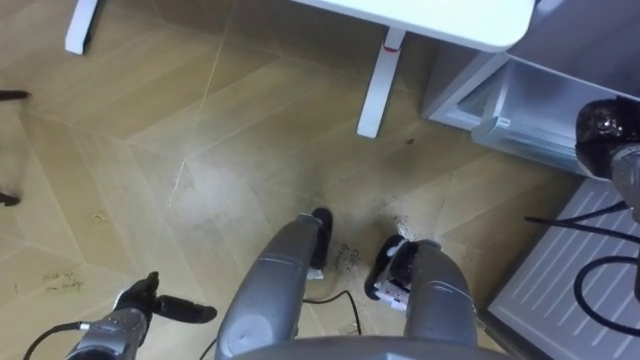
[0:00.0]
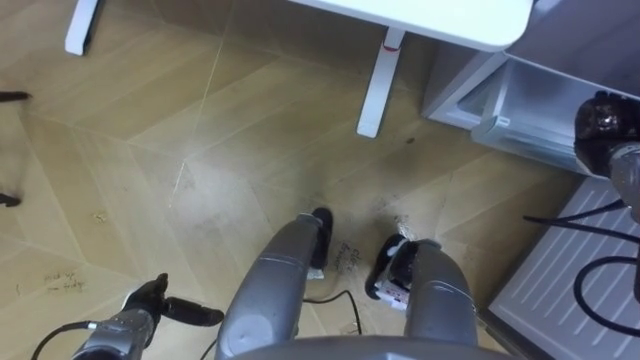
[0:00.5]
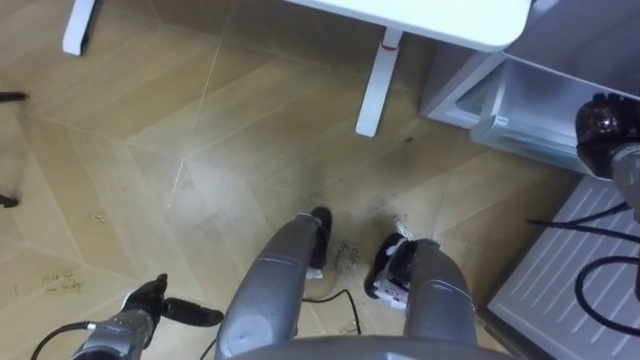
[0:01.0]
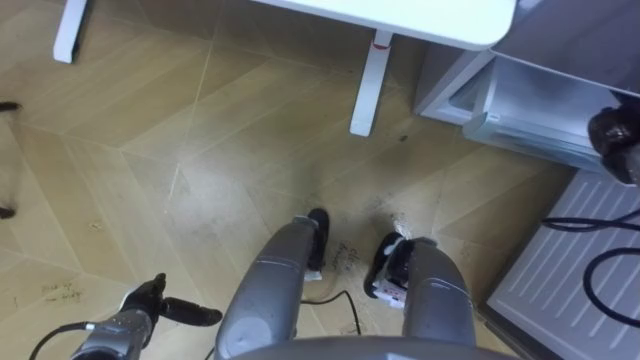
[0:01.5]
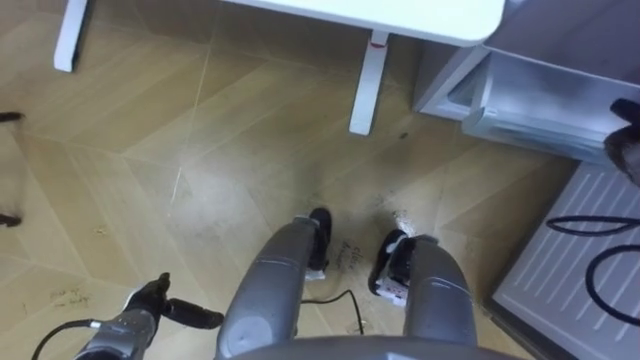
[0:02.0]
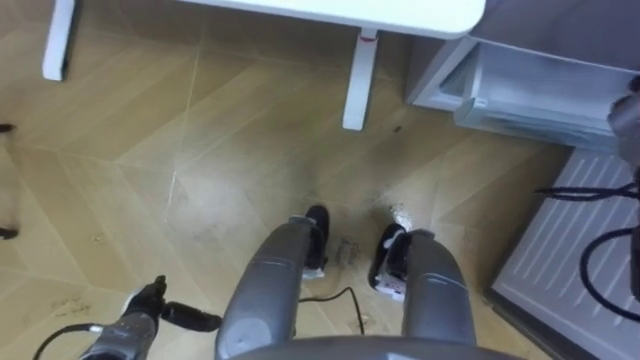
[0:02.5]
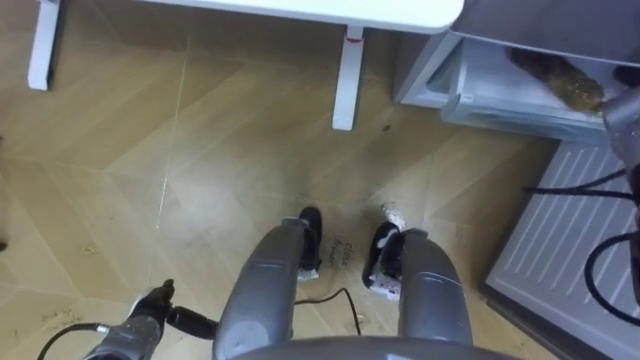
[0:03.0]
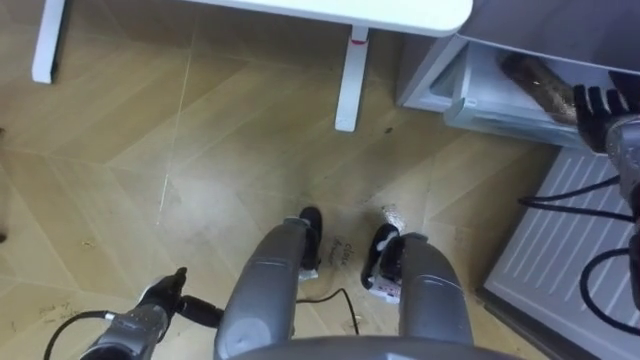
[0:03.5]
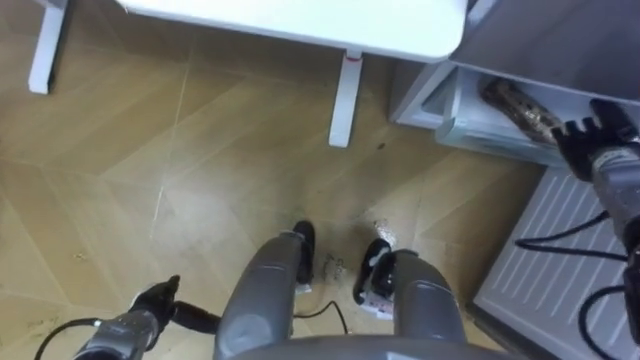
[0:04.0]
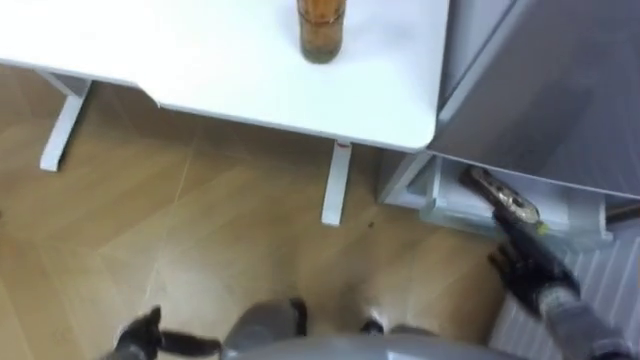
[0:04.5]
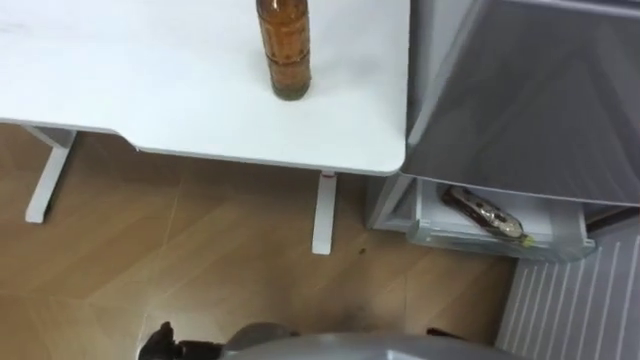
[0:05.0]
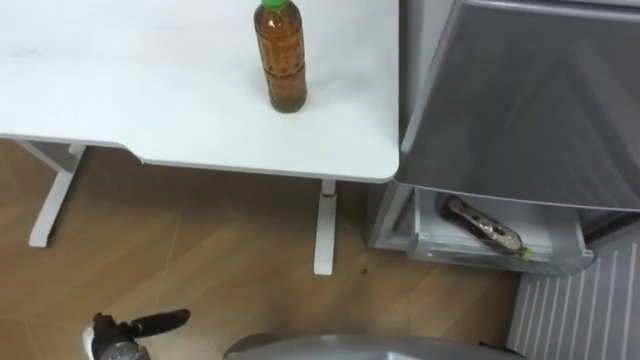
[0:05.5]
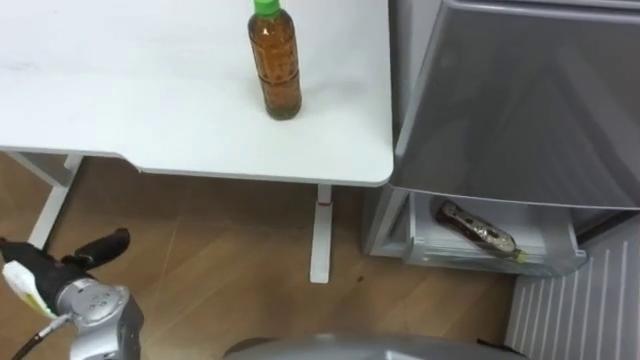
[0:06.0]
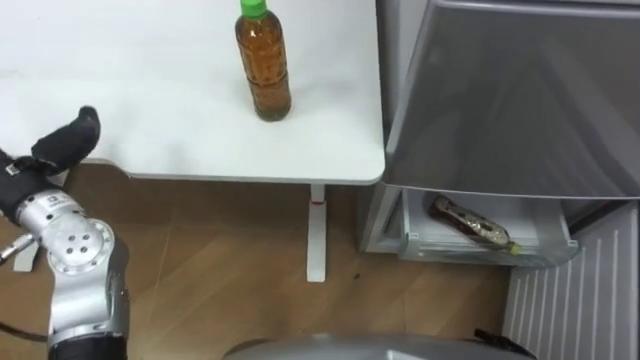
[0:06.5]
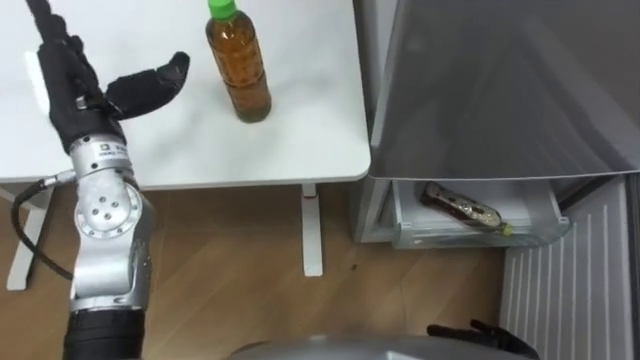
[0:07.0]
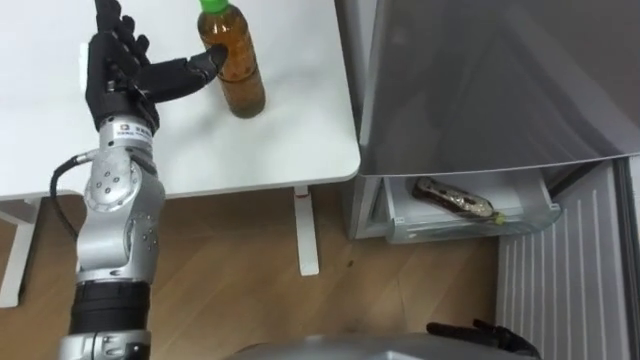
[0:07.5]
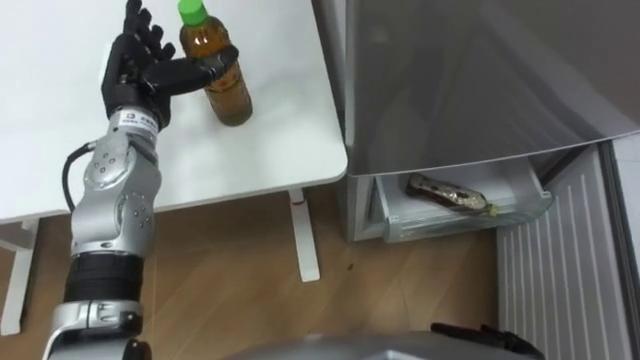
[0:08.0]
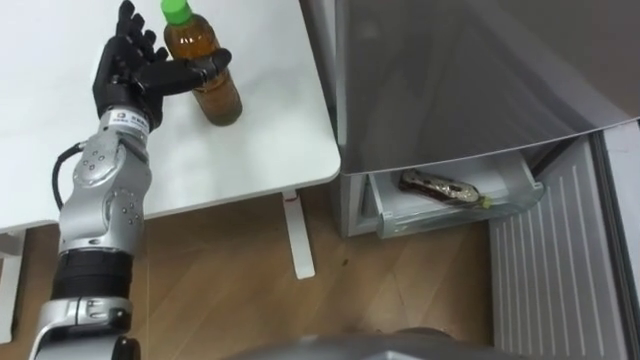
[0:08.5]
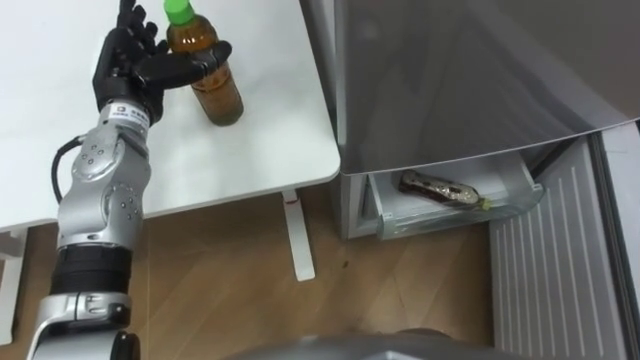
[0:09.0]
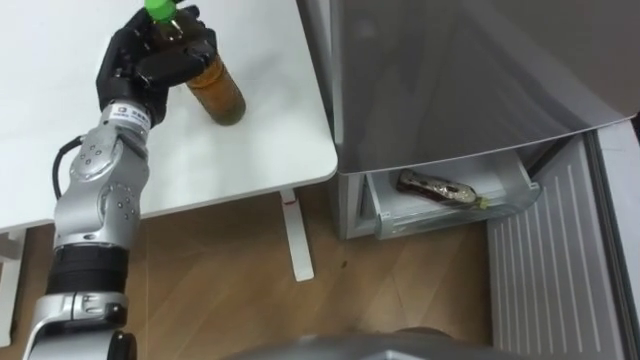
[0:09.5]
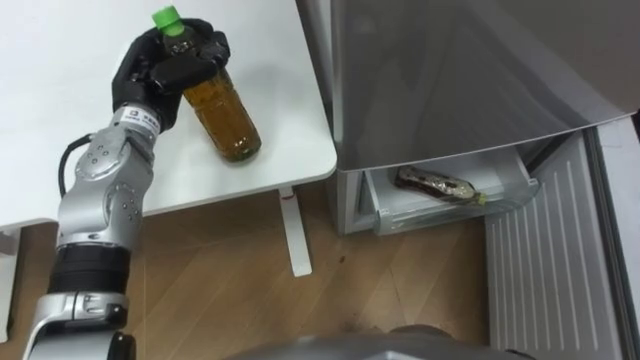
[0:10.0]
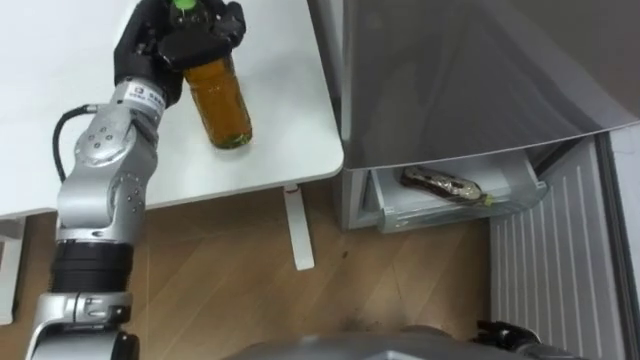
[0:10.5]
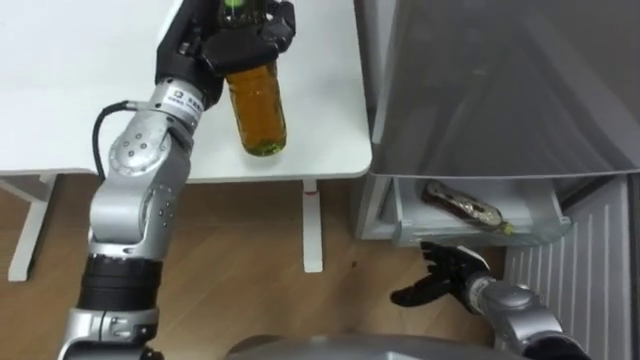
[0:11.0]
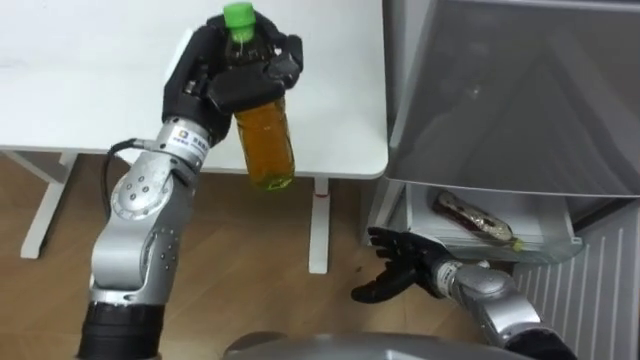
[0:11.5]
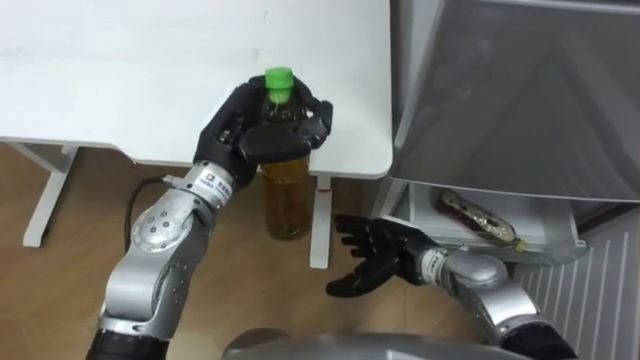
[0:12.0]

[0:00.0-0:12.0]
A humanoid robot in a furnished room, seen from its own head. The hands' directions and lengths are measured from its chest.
Task of the whole recording: Place the drink on the table on the bottom shelf of the refrigerator, then close the drawer and the refrigerator door.
0:08.0 to 0:10.0: The left hand closes up.
0:10.0 to 0:12.0: The left hand goes some 15 cm to the right and backward.

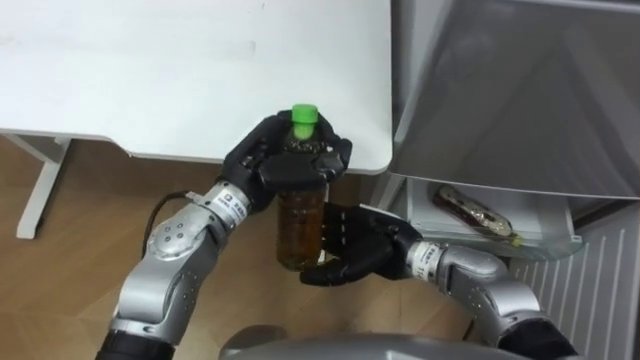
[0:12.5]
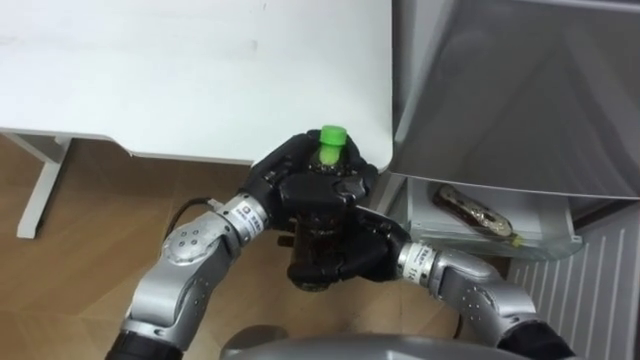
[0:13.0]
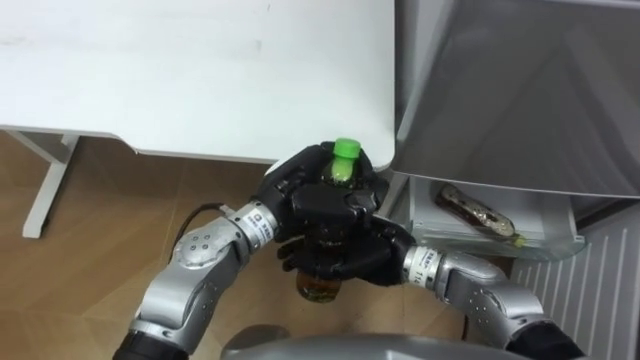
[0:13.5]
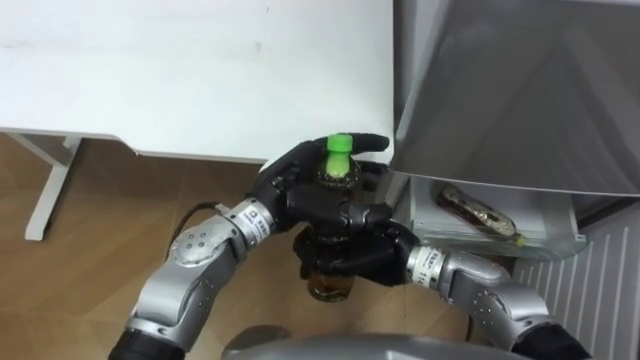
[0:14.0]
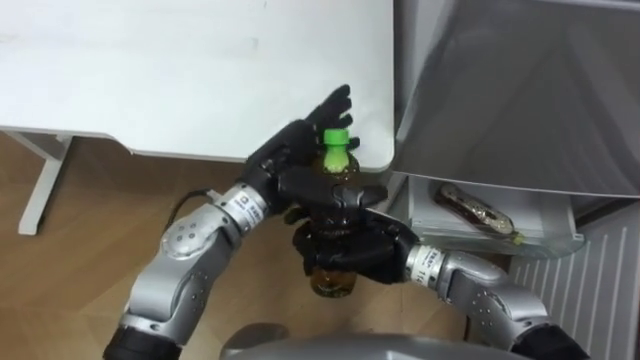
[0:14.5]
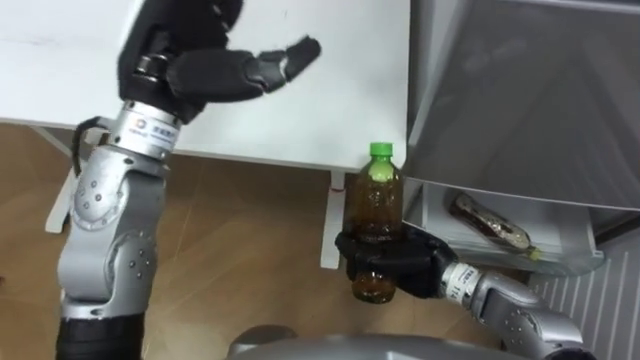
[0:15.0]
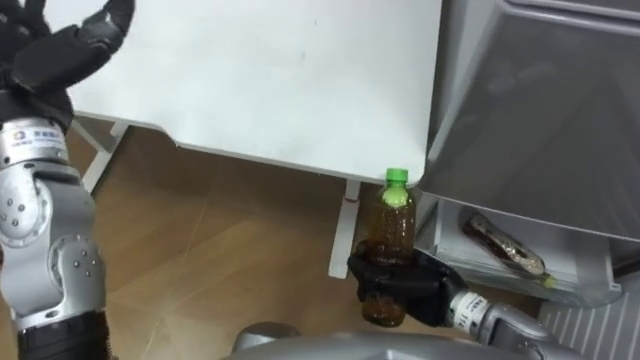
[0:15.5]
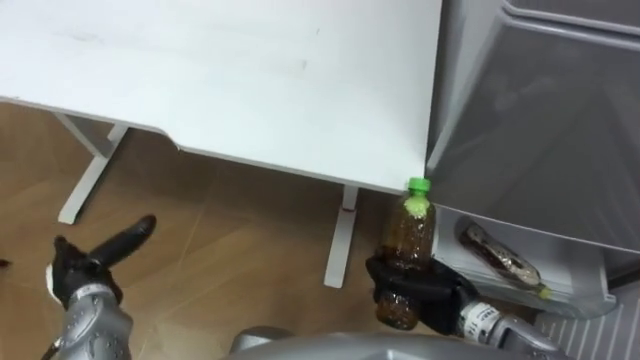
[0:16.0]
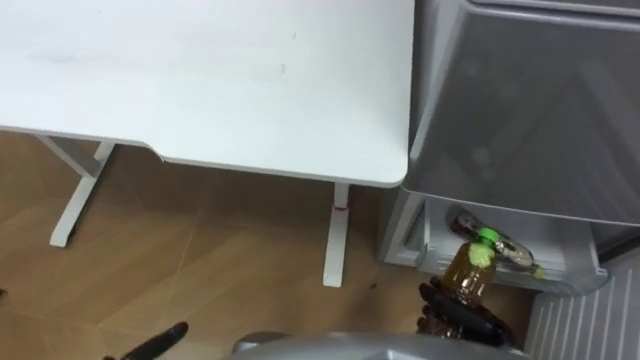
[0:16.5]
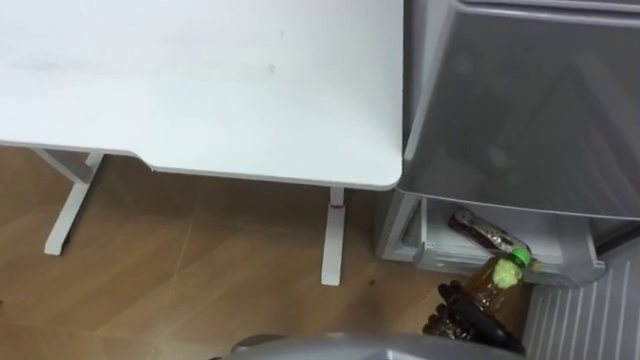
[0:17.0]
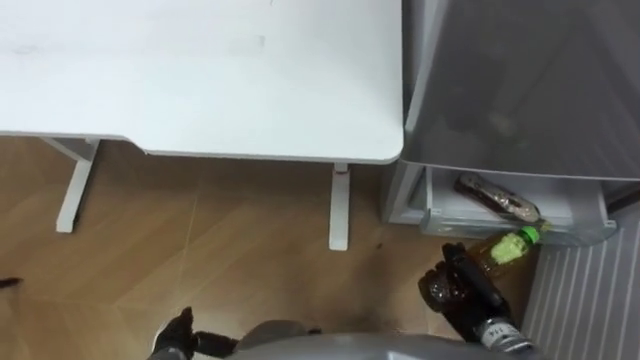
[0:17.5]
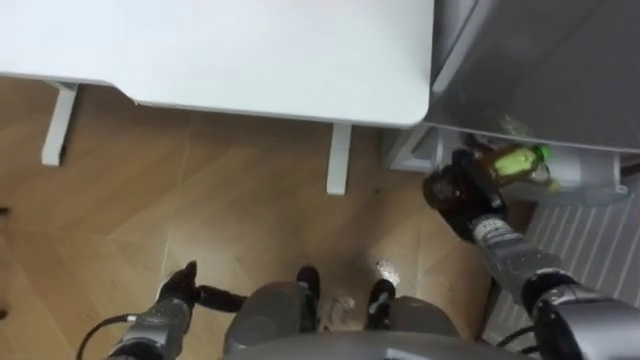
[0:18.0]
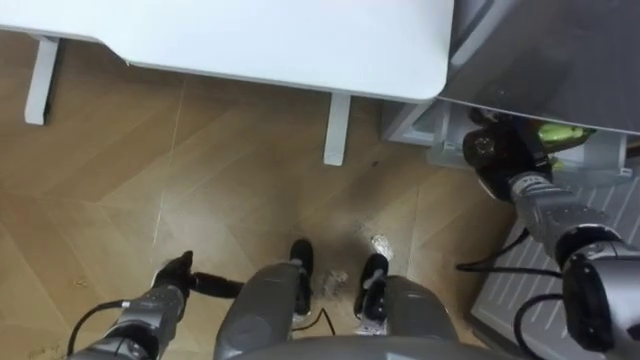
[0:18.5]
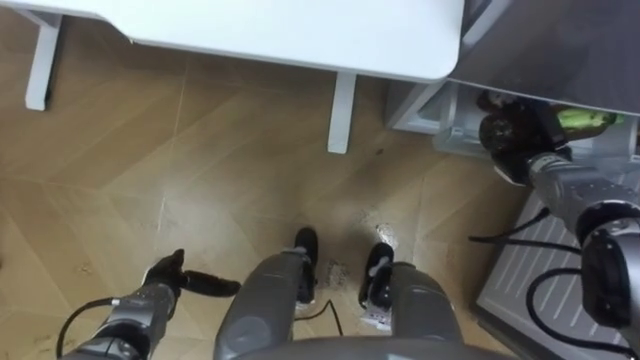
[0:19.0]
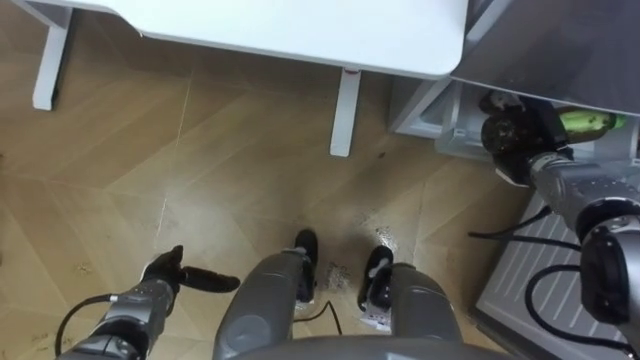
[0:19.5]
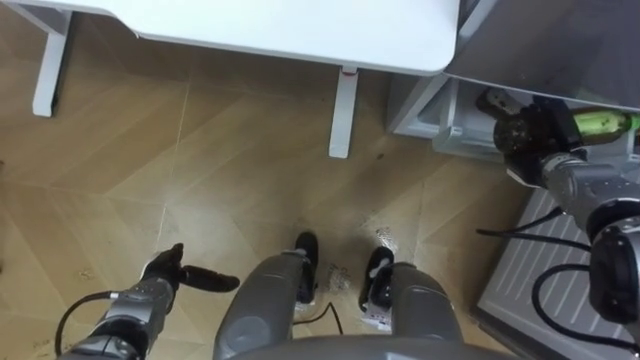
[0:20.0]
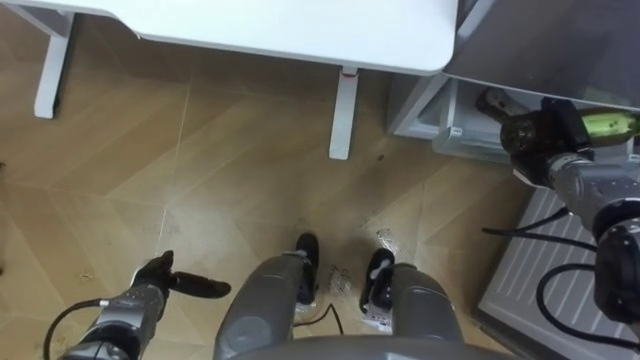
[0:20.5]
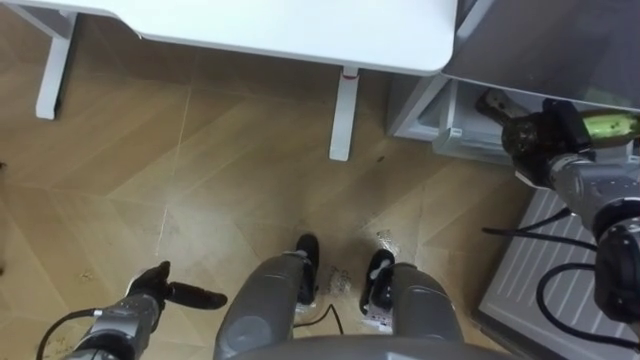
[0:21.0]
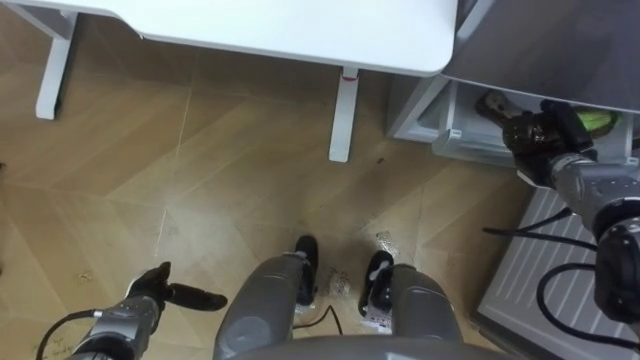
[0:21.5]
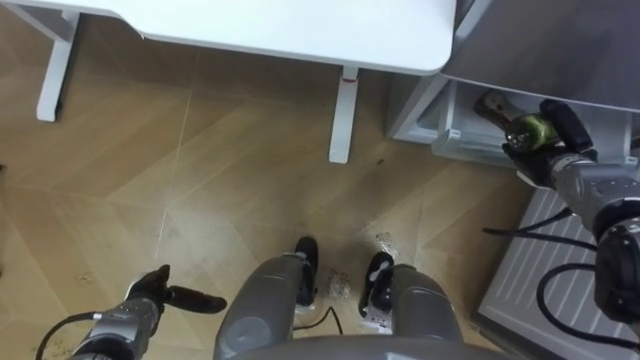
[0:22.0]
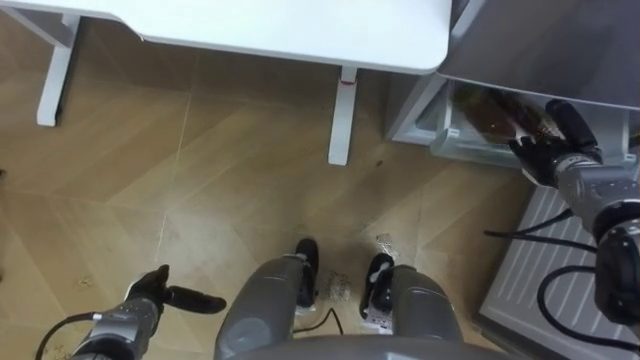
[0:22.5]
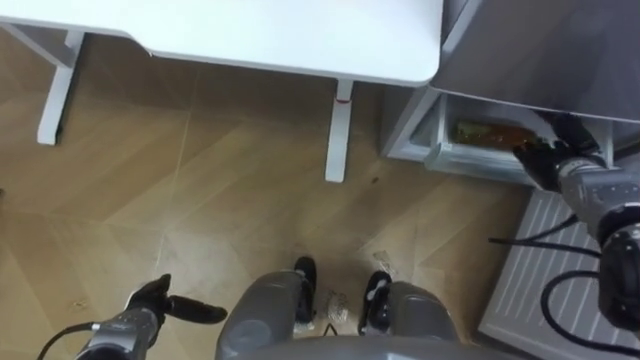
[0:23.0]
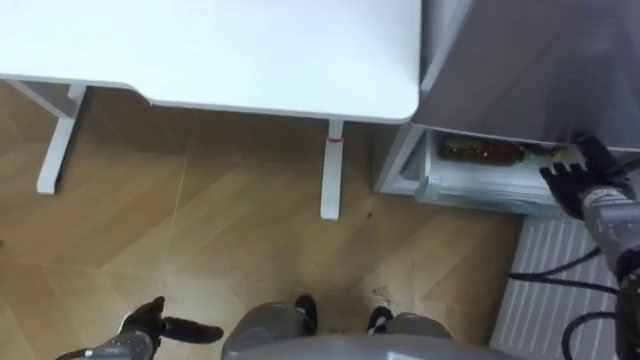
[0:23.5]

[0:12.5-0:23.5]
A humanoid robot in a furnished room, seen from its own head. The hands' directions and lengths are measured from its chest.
Task of the whole recording: Place the drink on the table on the bottom shelf of the refrigerator, then close the drawer and the refrigerator door.
0:12.5 to 0:14.5: The right hand closes its fingers; the left hand opens.
0:14.5 to 0:16.0: The right hand shifts about 15 cm to the right, downward and backward.
0:16.0 to 0:18.0: The right hand heads forward and to the right, covering about 15 cm.
0:18.0 to 0:20.0: The right hand moves to the right, forward and upward, some 10 cm.
0:20.0 to 0:21.5: The right hand opens its fingers.
0:21.5 to 0:23.5: The right hand moves about 5 cm.
